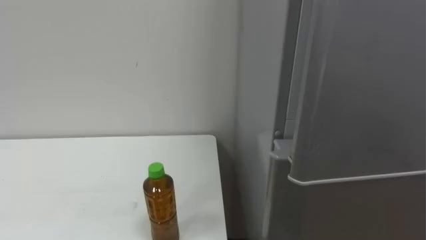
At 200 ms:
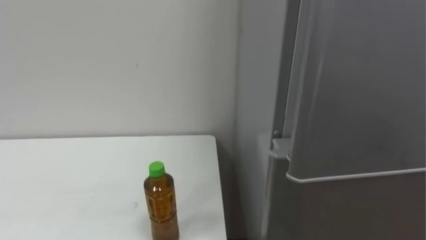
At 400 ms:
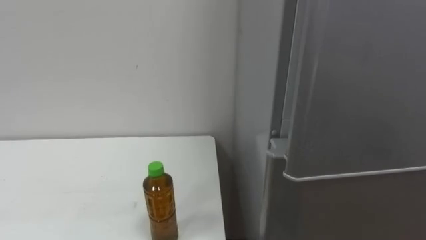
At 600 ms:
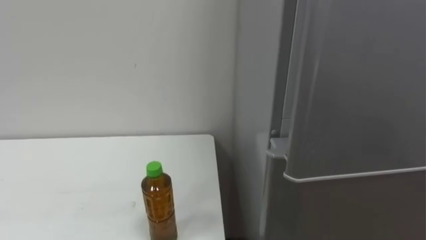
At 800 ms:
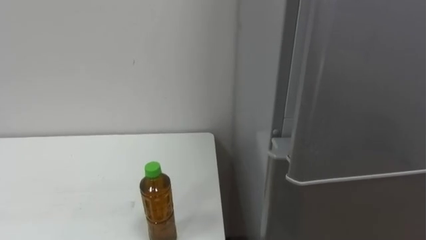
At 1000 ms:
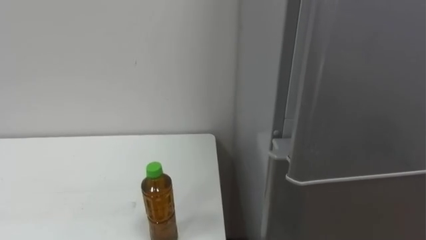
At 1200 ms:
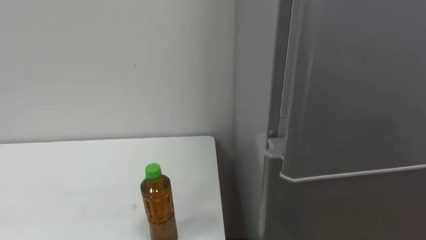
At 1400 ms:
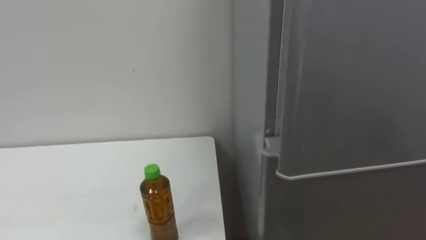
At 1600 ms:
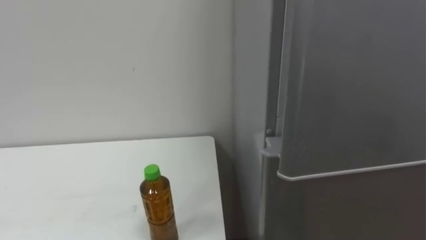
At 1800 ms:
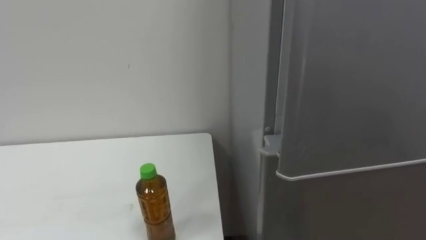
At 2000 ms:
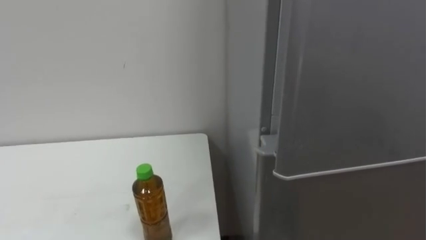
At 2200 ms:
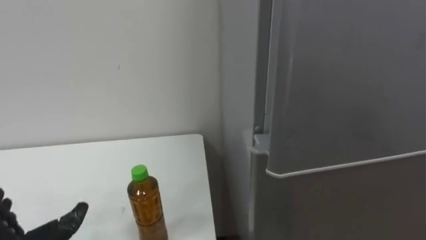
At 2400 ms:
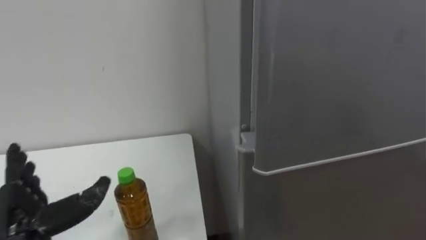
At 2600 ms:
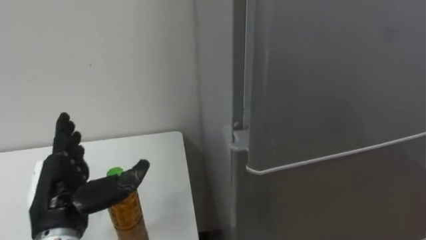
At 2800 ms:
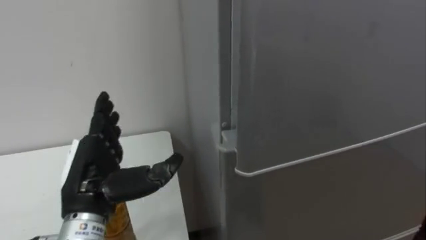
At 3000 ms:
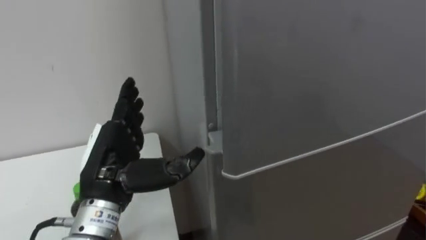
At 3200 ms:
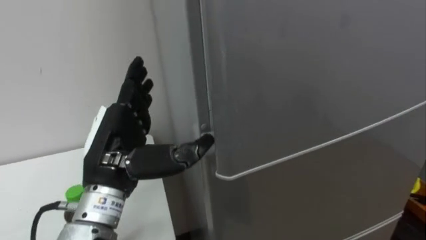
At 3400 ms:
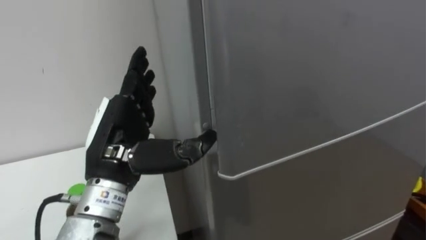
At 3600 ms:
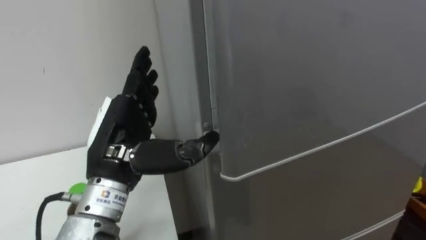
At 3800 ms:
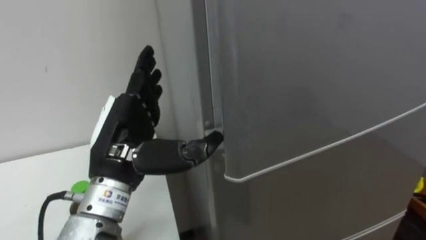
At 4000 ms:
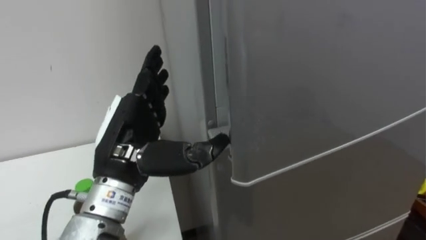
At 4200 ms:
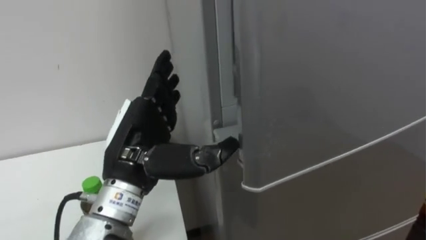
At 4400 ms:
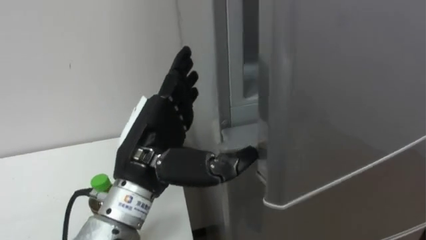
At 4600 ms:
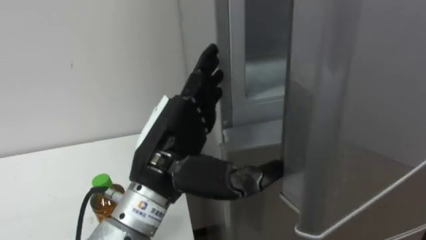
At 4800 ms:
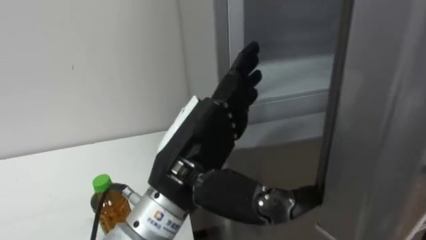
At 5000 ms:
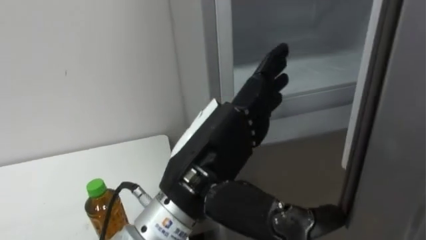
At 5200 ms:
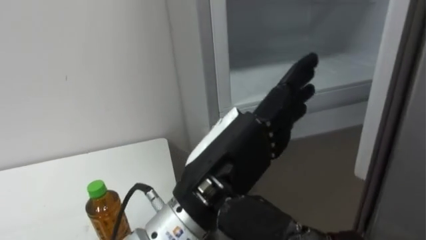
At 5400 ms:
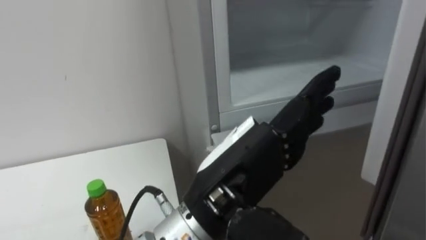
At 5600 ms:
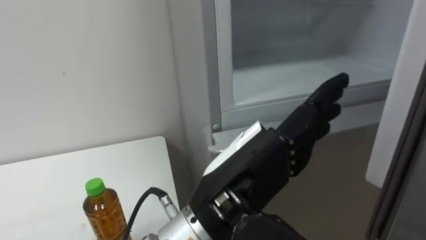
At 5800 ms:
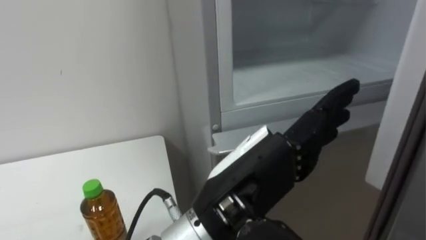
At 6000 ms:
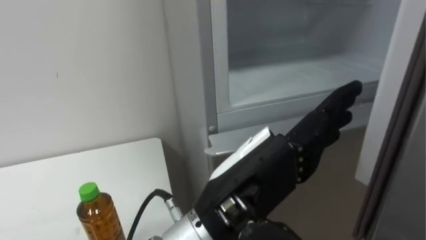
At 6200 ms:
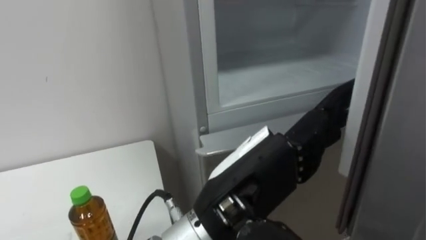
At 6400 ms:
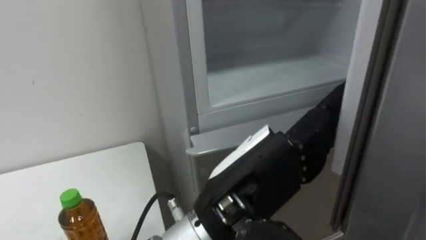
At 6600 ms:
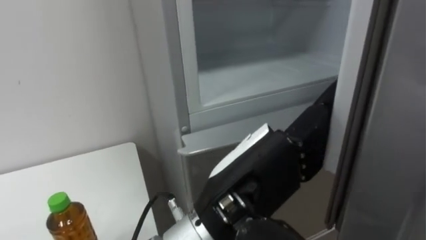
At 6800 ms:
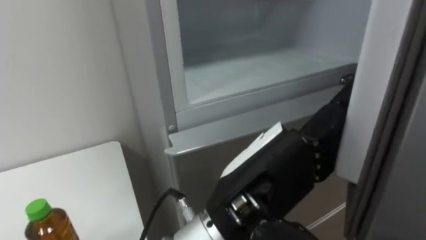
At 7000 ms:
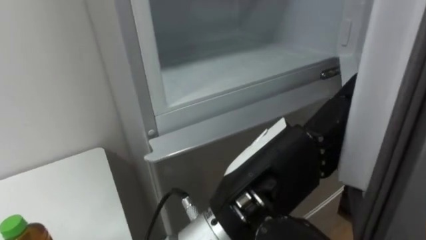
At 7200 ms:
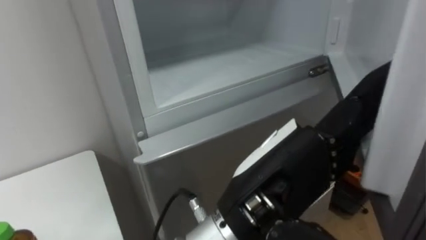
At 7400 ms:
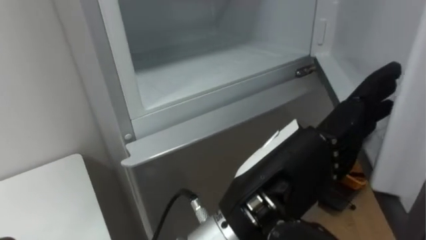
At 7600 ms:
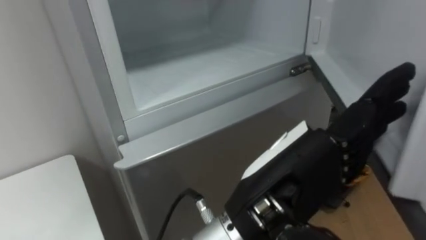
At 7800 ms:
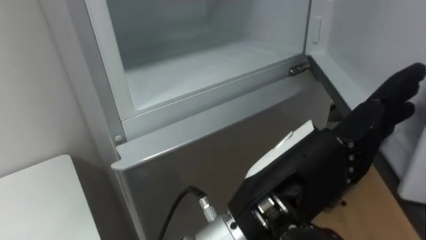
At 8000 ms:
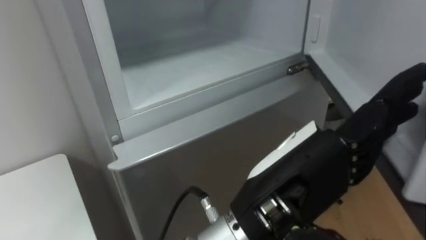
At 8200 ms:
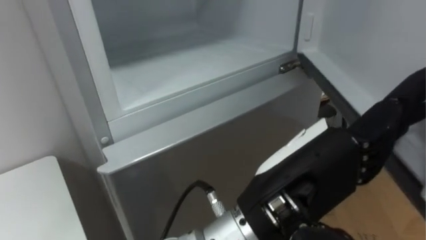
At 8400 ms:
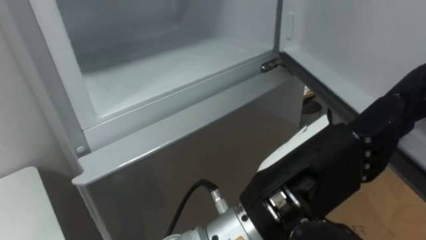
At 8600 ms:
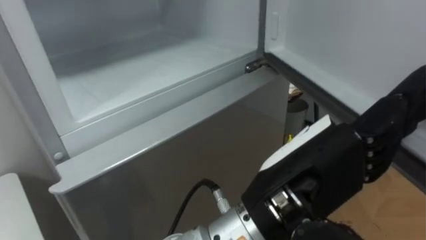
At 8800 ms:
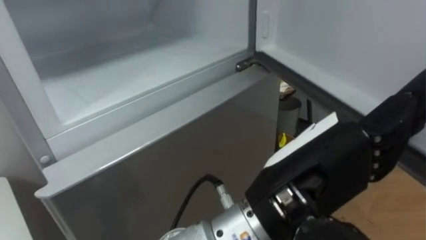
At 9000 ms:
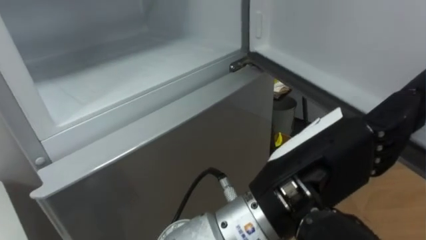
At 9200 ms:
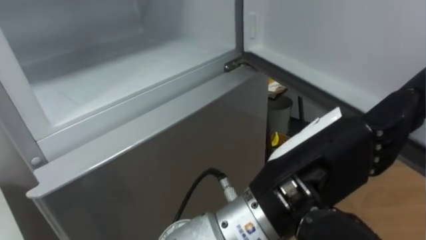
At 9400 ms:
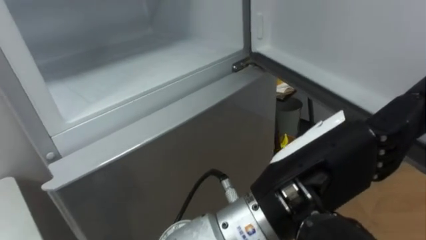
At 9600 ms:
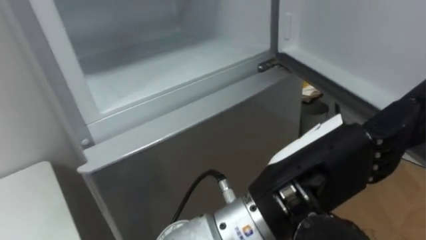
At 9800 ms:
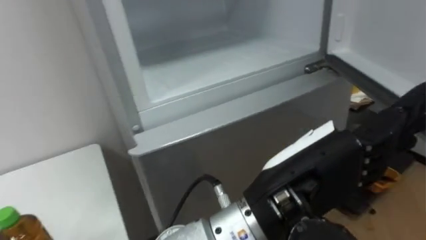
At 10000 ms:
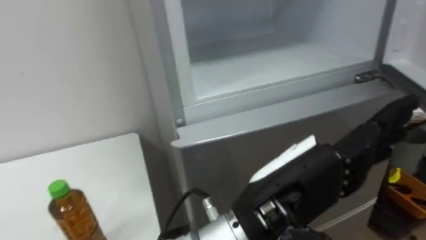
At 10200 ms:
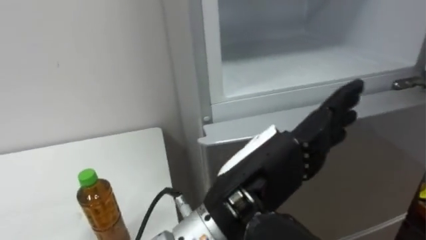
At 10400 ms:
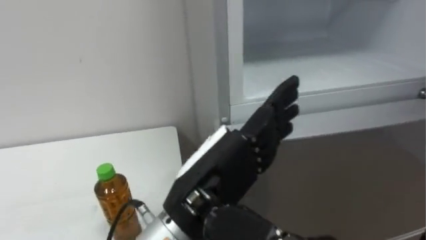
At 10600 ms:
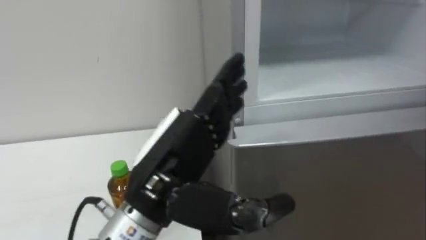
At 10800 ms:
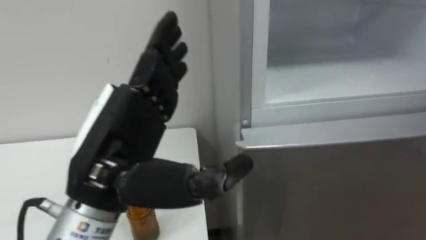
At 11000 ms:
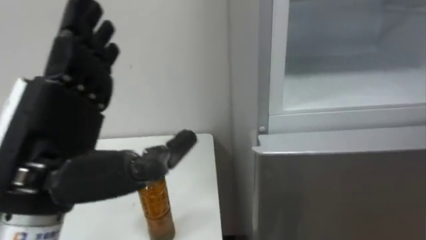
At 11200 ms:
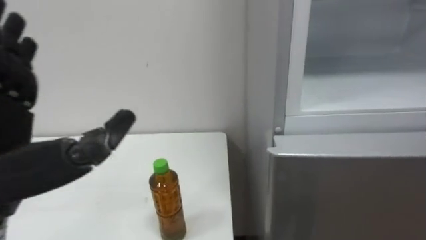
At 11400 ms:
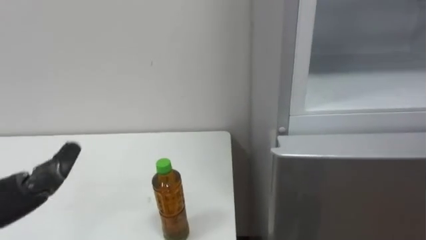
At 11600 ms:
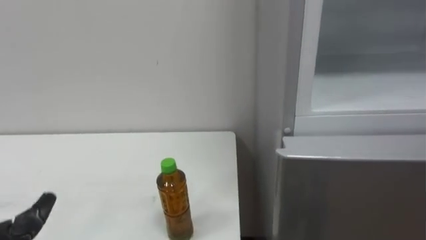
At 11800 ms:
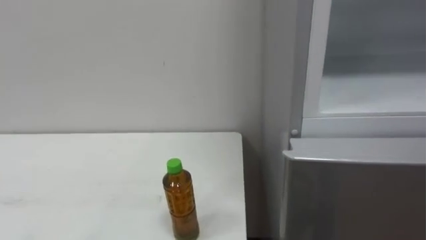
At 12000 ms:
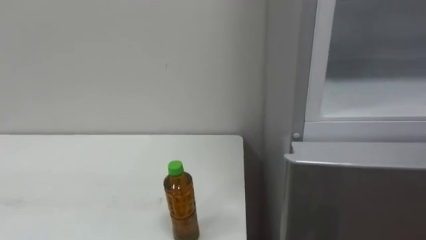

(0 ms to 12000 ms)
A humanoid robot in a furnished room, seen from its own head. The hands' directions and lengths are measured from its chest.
Task of the whole recording: Open the upper refrigerator door, put the drink from the table into the refrigerator, and then close the refrigerator door.
3000 ms - 4400 ms: The left hand is displaced to the right by some 5 cm.
4400 ms - 6000 ms: The left hand heads to the right and backward, covering approximately 15 cm.
9000 ms - 10400 ms: The left hand is displaced to the left by roughly 10 cm.

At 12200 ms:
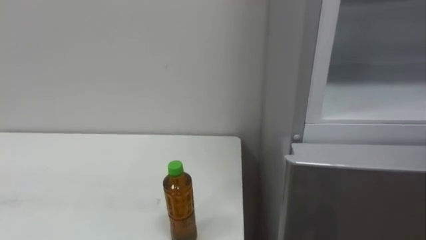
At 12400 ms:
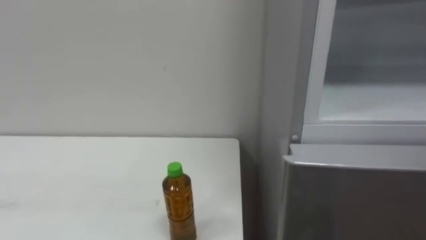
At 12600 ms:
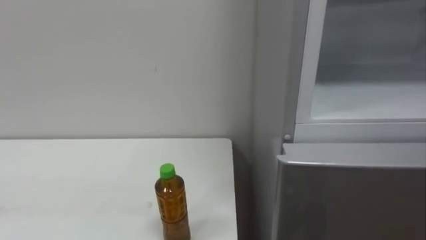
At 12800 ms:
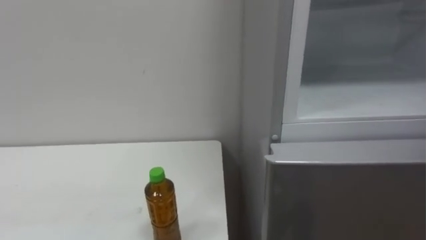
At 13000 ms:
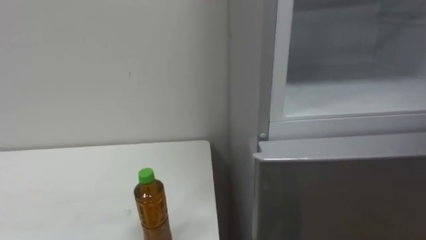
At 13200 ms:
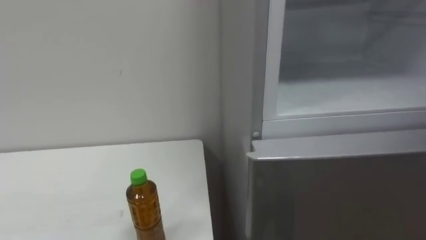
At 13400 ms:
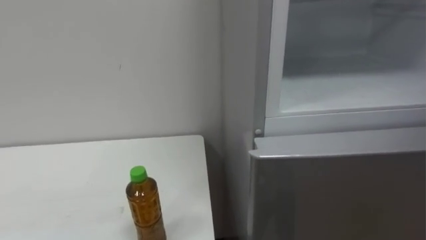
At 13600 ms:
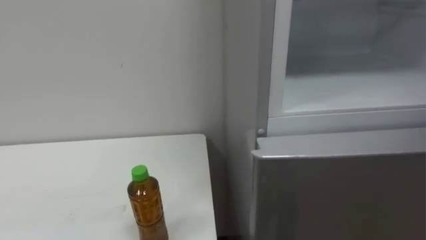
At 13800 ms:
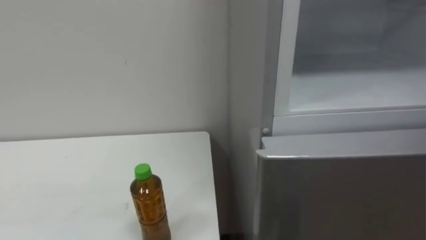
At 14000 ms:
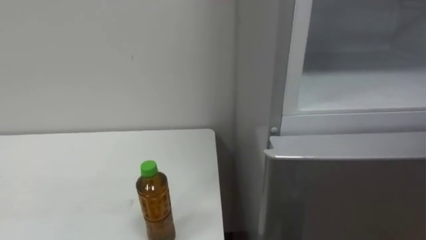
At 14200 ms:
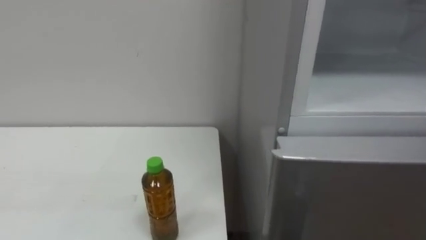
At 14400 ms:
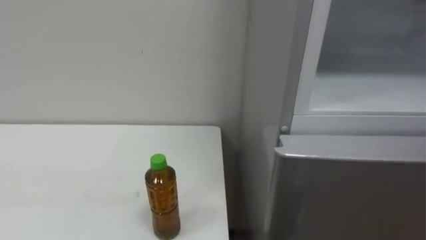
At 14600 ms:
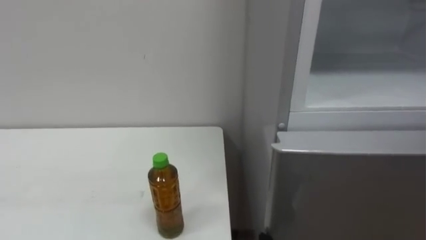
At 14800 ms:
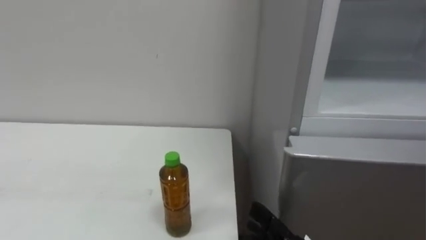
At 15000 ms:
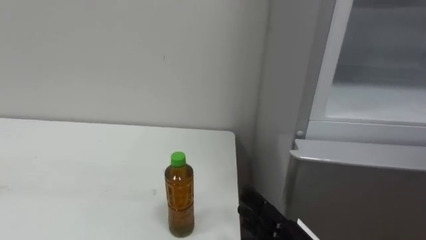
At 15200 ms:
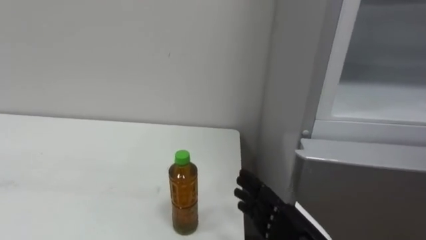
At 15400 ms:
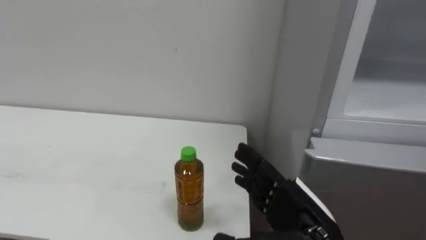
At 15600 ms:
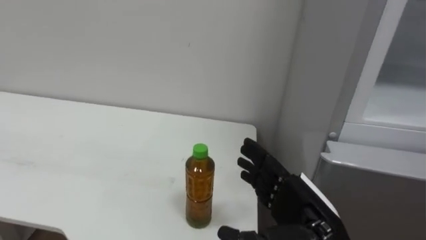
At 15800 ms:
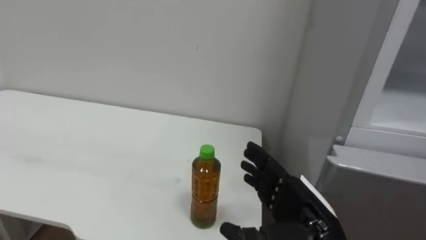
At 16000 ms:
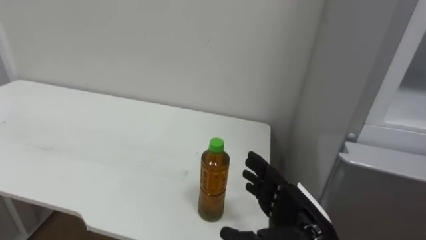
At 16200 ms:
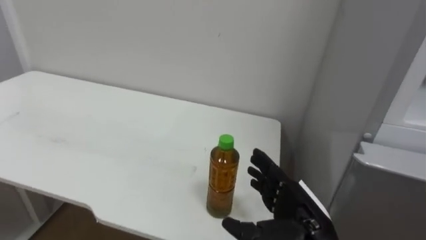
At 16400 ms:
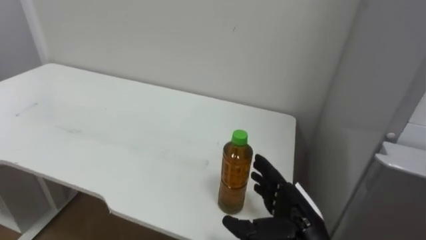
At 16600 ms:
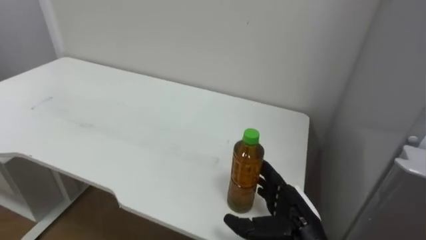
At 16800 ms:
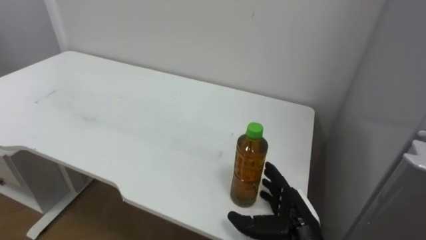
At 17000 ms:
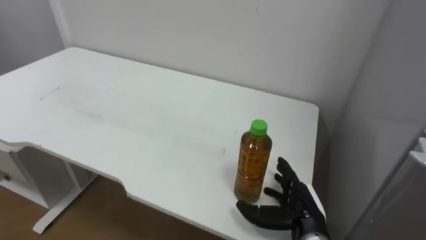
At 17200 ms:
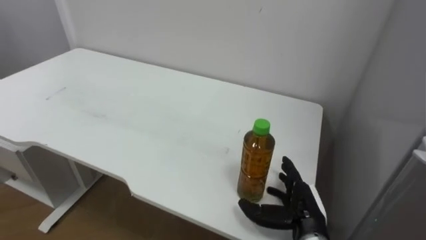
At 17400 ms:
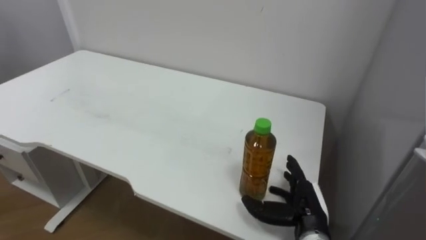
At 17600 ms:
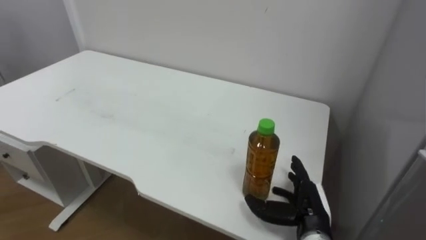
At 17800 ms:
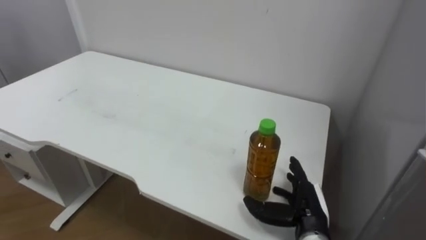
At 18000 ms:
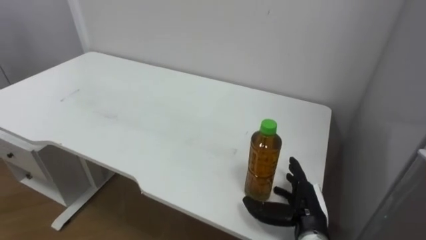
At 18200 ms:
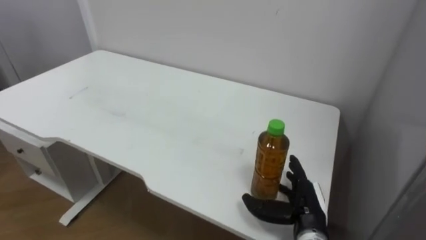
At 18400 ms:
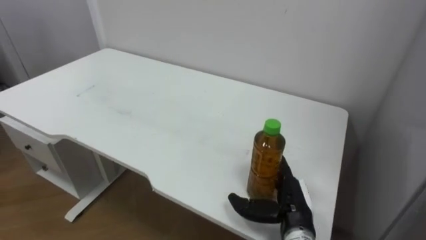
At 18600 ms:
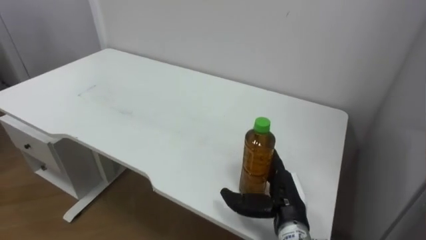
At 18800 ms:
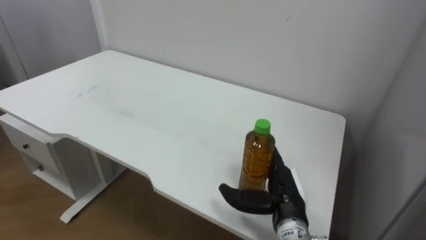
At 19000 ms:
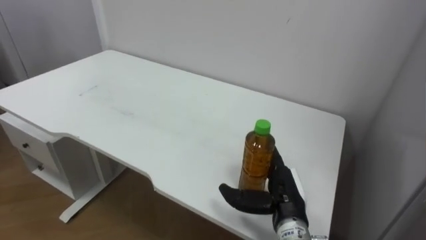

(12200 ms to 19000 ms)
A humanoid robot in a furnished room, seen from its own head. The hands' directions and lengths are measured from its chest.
Task of the whole recording: Open the upper refrigerator door, put the drink from the table into the refrigerator, and then close the refrigerator door.
16200 ms - 17600 ms: The right hand is displaced downward and forward by about 10 cm.
17600 ms - 19000 ms: The right hand ends up approximately 5 cm from where it was.
